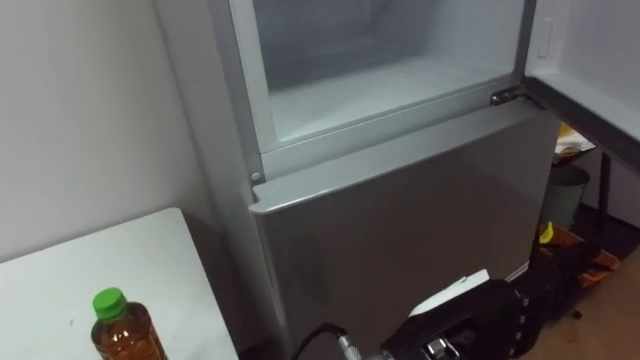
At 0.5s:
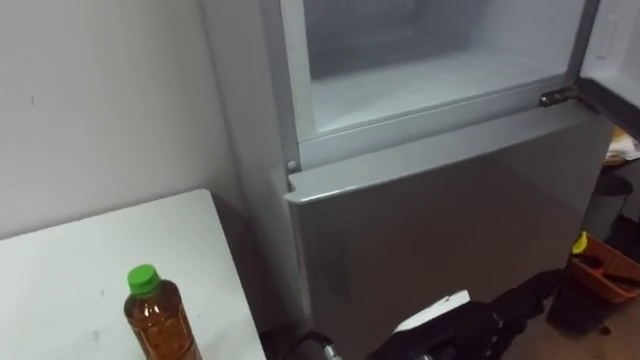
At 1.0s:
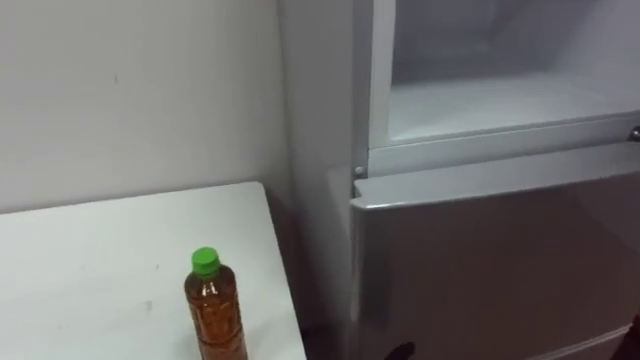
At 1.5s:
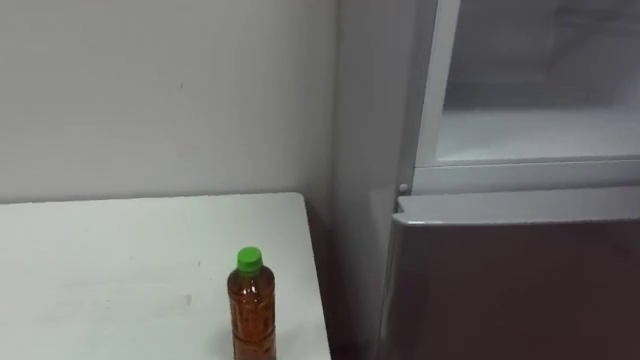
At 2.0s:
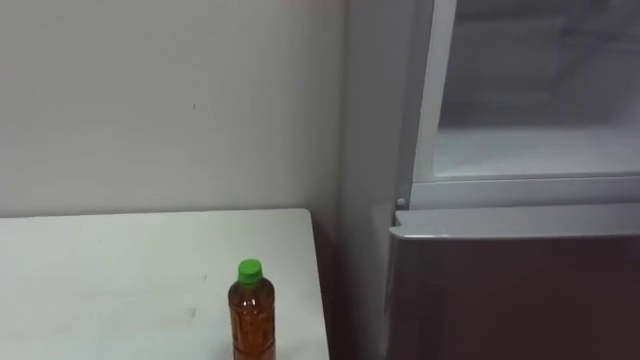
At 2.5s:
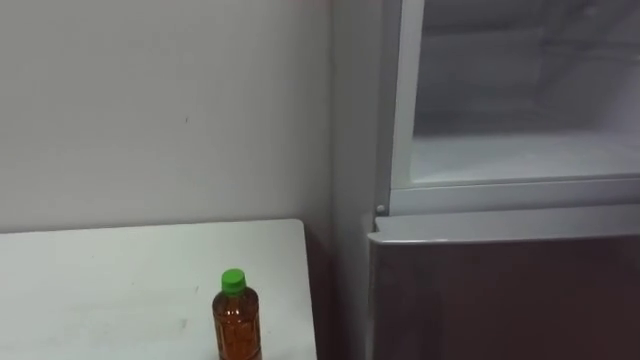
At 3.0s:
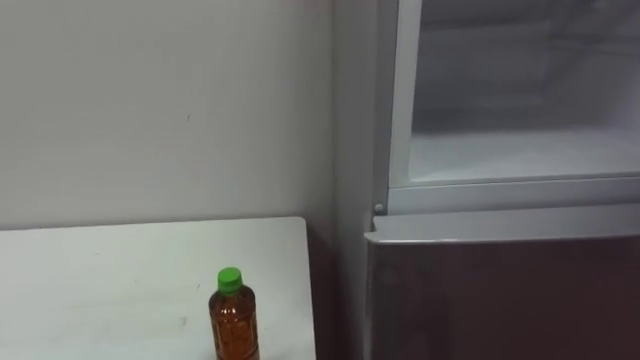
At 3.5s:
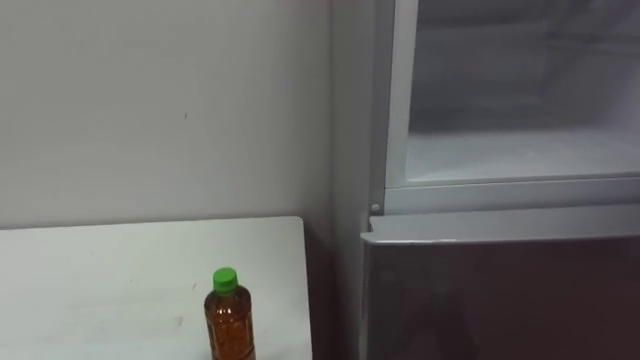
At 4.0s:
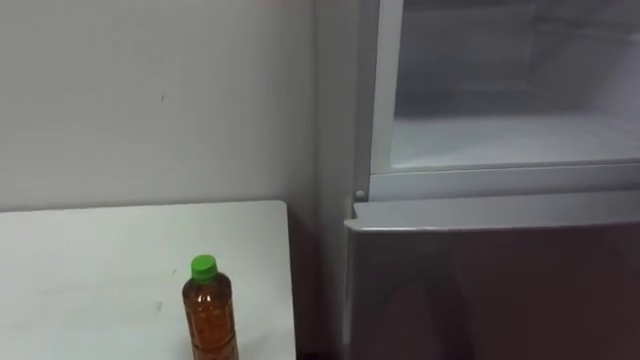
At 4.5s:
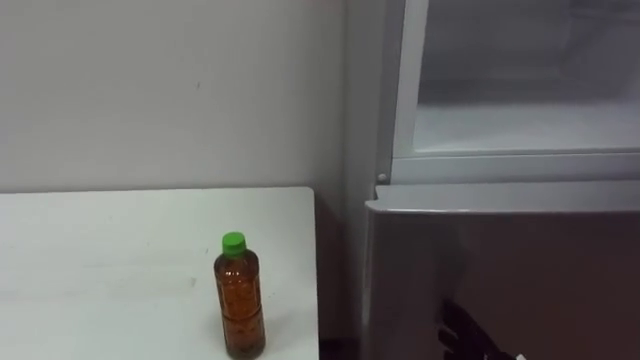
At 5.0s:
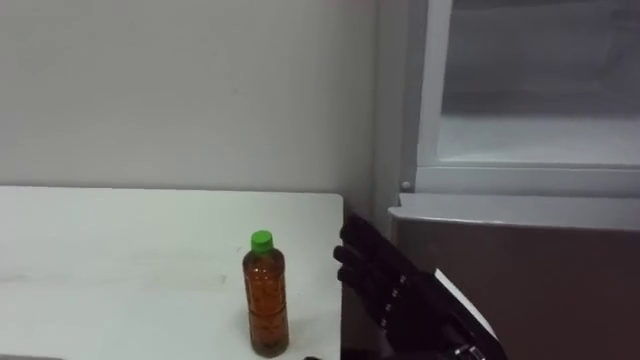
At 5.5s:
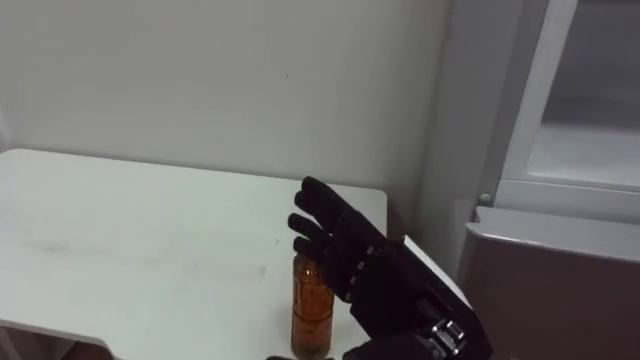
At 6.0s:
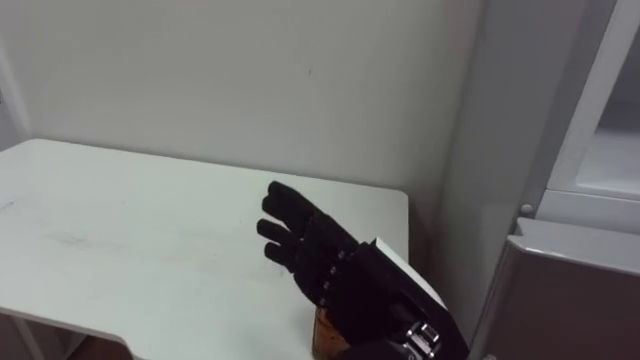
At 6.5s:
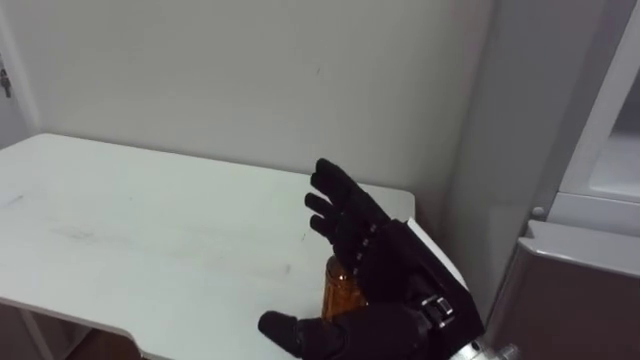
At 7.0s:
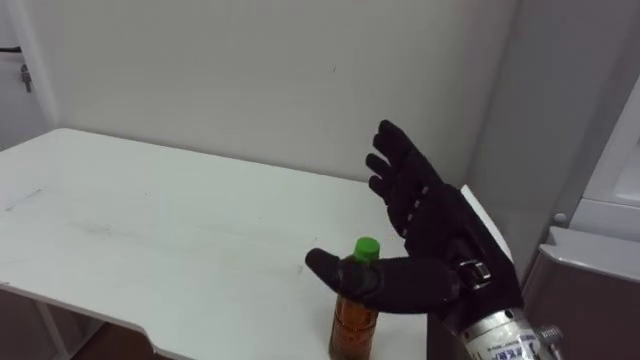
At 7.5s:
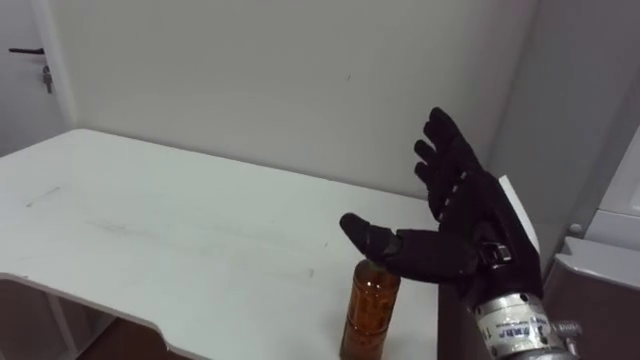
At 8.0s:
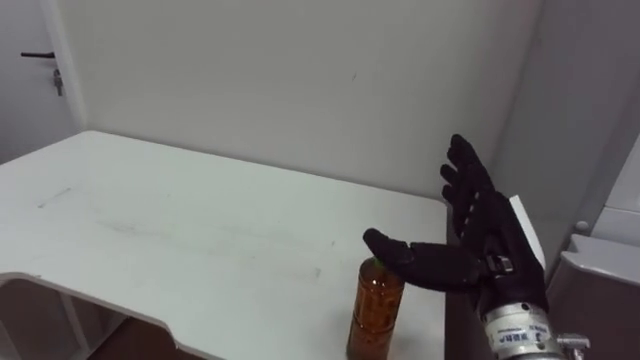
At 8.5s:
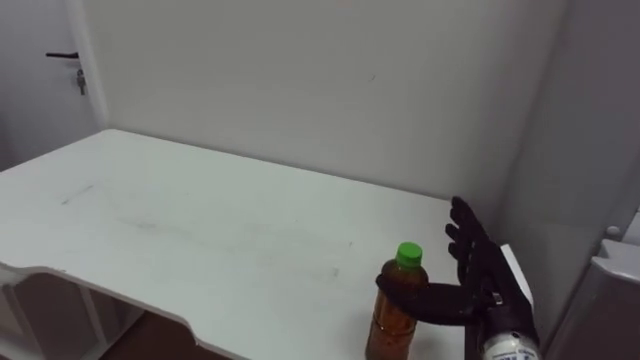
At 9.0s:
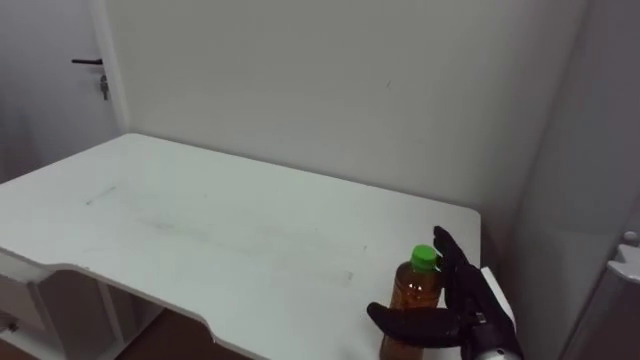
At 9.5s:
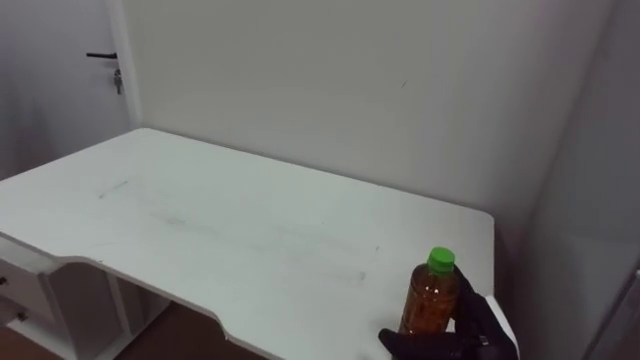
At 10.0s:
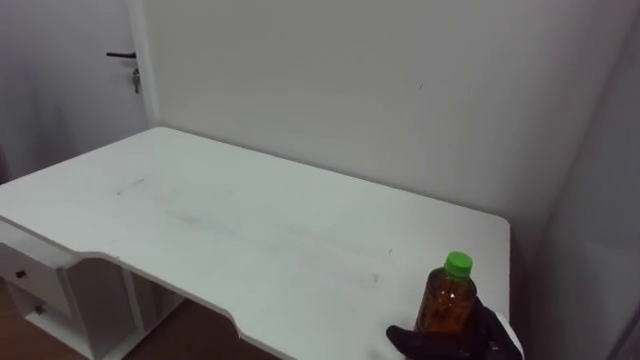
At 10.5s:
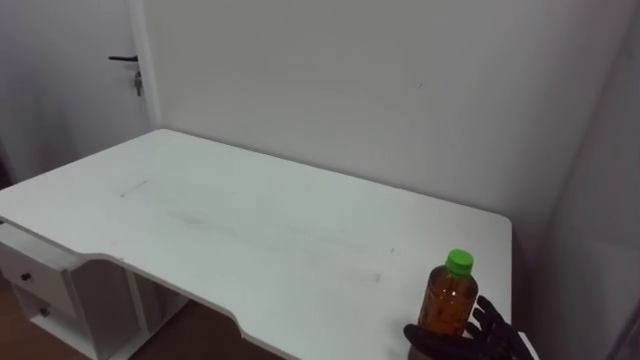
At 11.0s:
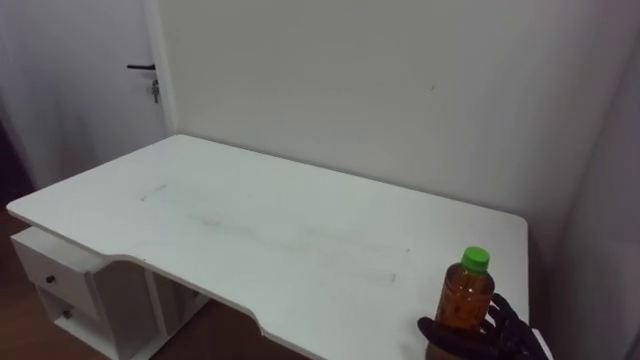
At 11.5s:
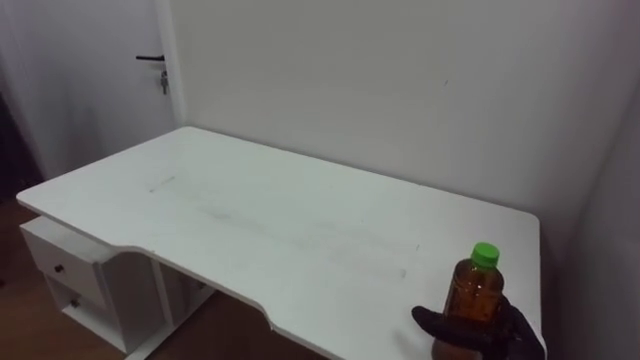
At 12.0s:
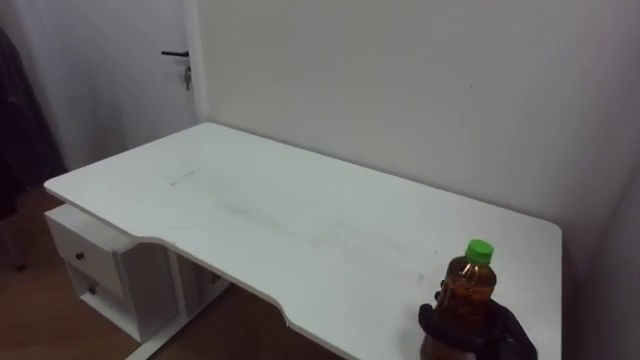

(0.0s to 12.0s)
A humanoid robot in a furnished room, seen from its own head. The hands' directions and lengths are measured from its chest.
Task of the whole recording: Open the upper refrigerator door, put the drink from the table into the refrigerator, and then close the refrigerator door.
6.0s - 8.0s: The right hand goes some 15 cm to the right and forward.
8.0s - 10.0s: The right hand moves downward, about 15 cm.
10.0s - 12.0s: The right hand closes up.

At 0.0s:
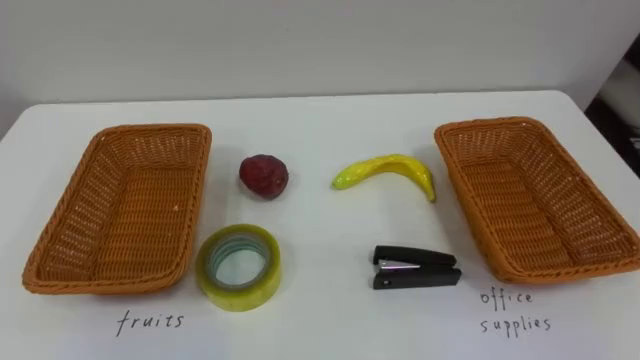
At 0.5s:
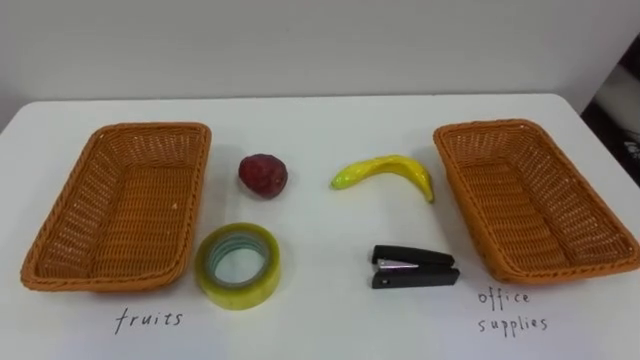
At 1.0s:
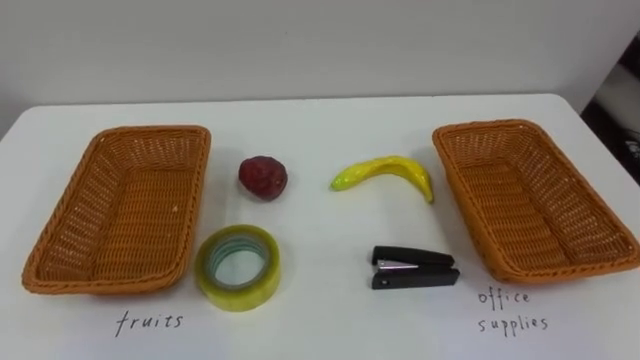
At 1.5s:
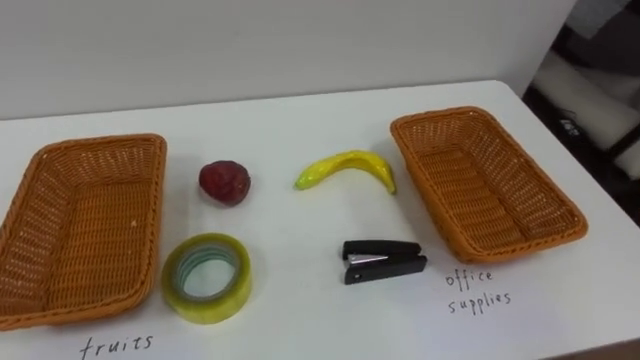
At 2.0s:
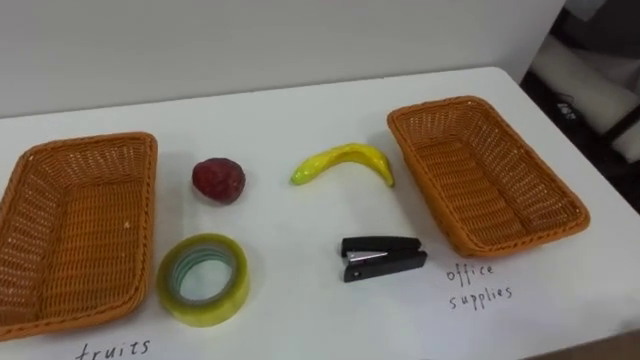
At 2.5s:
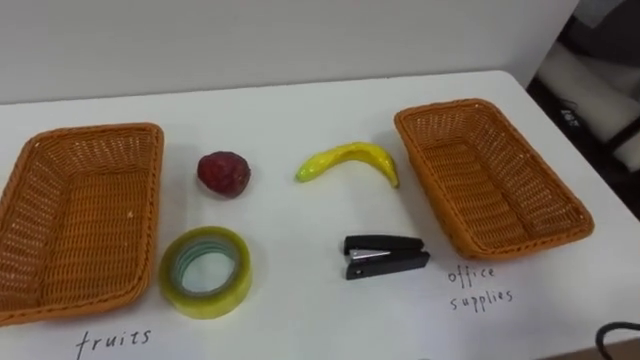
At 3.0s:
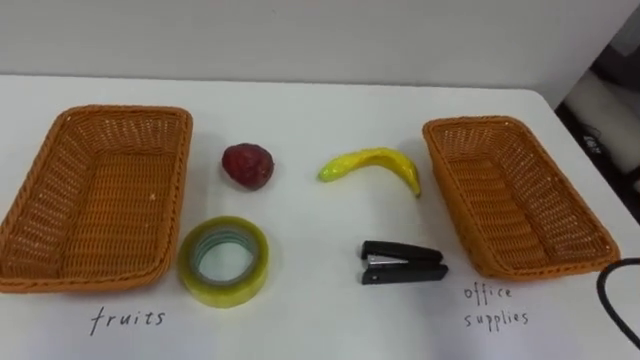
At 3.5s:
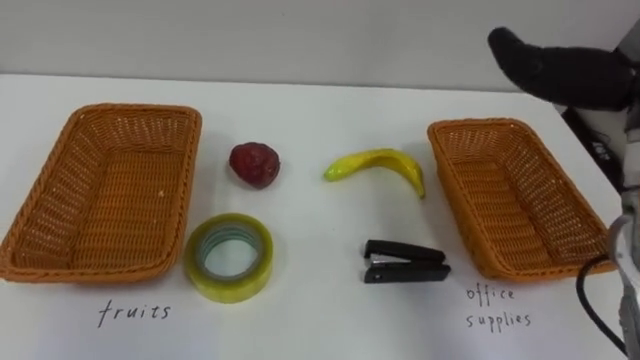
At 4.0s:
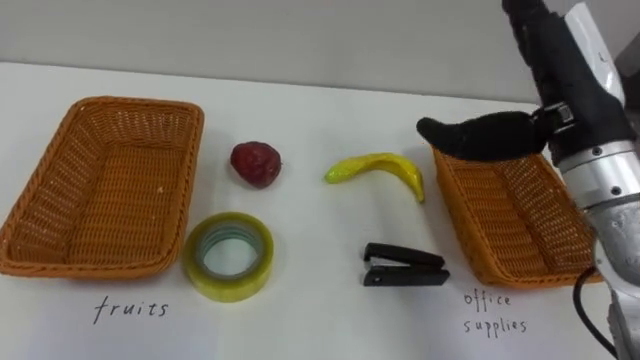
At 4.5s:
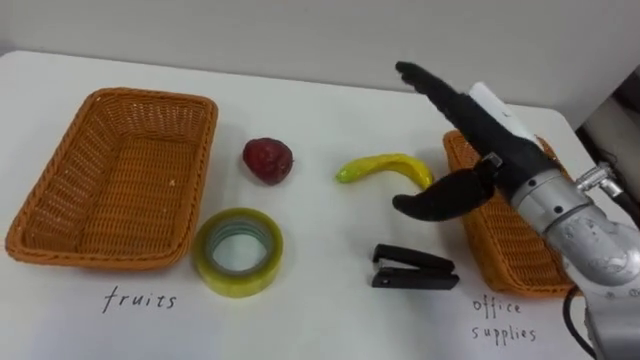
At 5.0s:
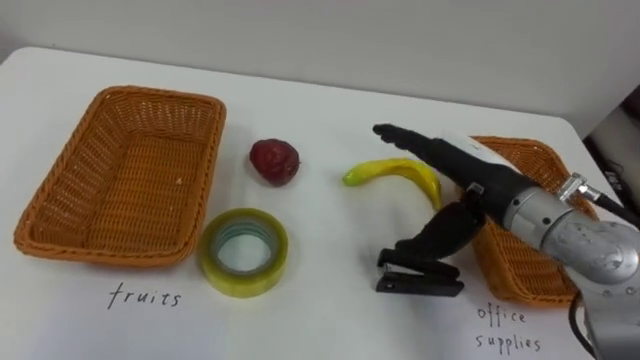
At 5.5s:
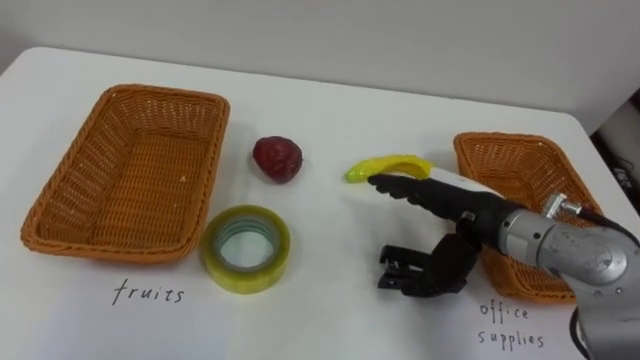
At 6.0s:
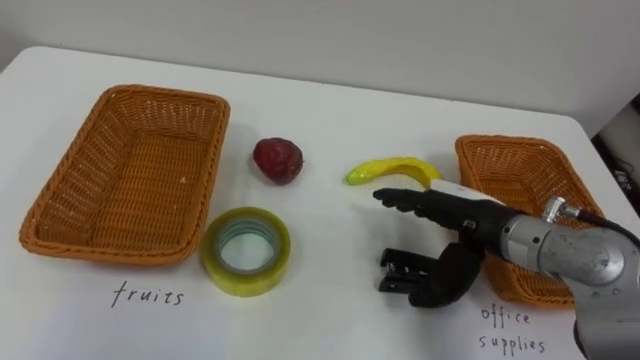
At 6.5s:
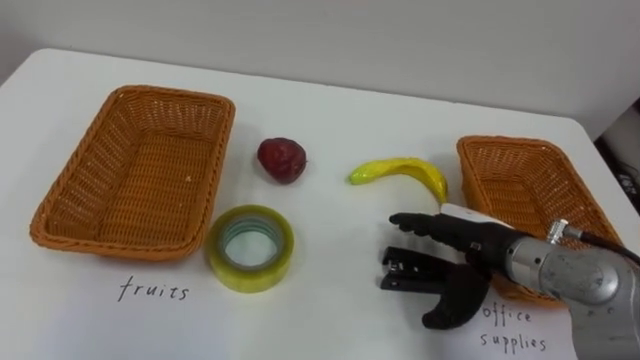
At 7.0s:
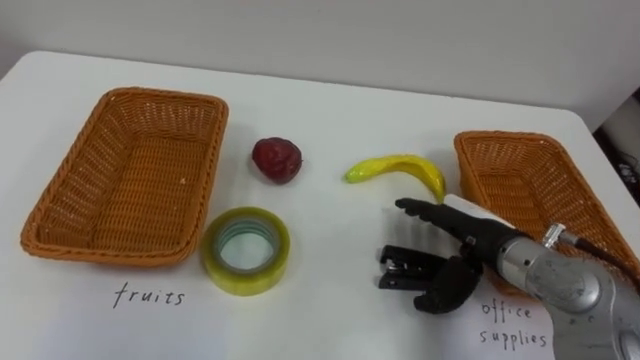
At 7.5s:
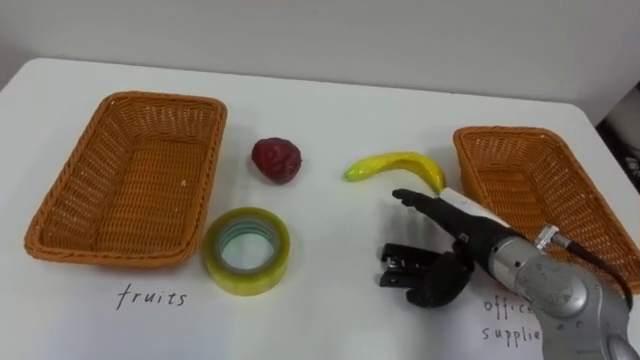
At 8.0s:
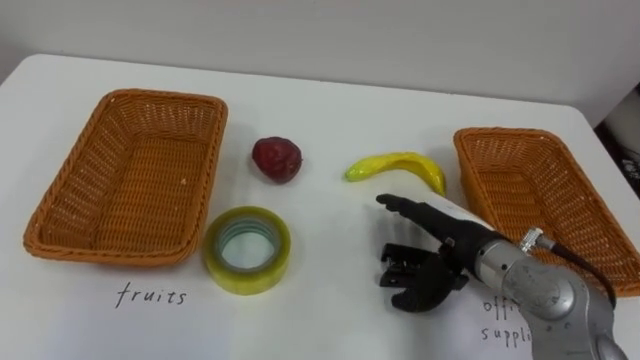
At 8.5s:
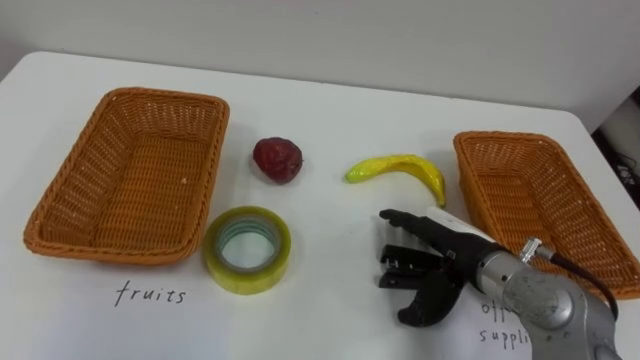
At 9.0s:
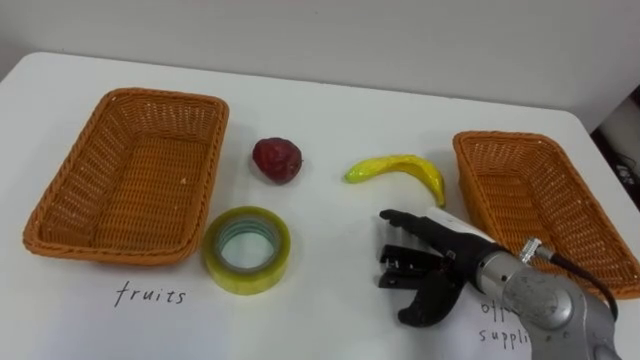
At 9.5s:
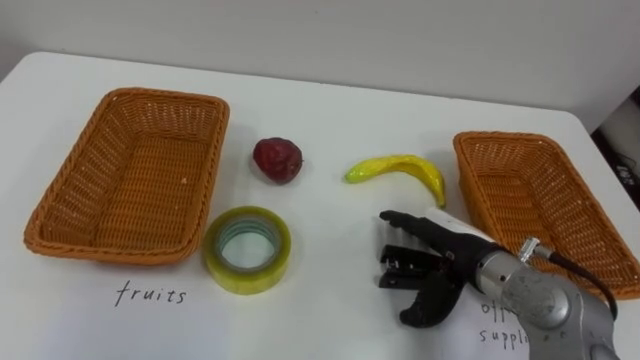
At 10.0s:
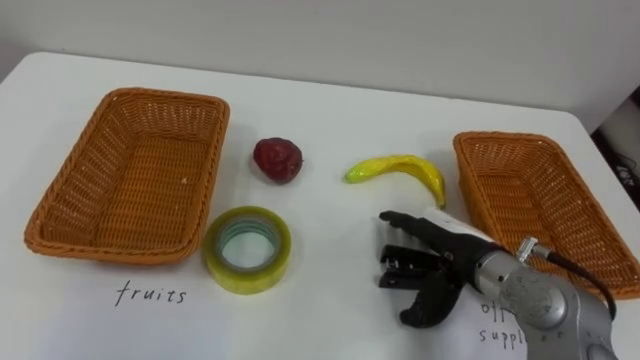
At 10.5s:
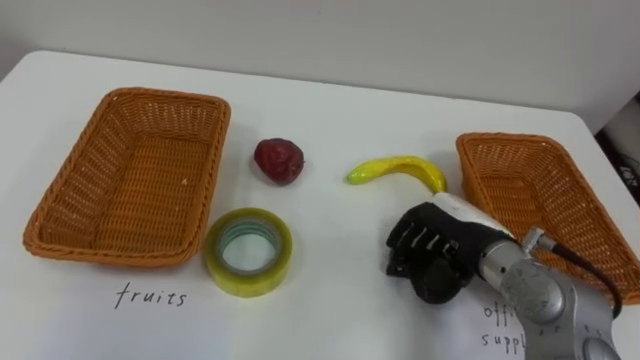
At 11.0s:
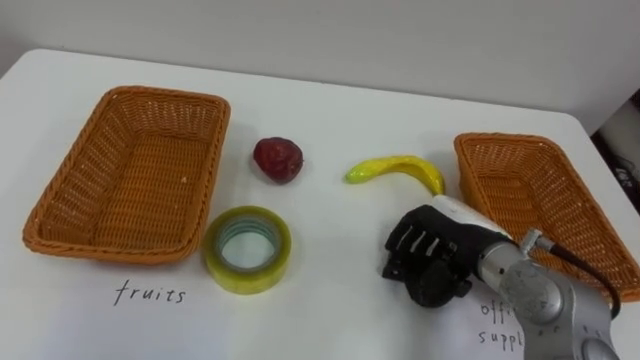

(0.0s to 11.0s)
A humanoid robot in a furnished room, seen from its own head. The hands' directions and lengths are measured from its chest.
Task of the whole recording: Separate the items on the table and place them into the two baskets.
9.0s - 11.0s: The right hand closes its fingers.
